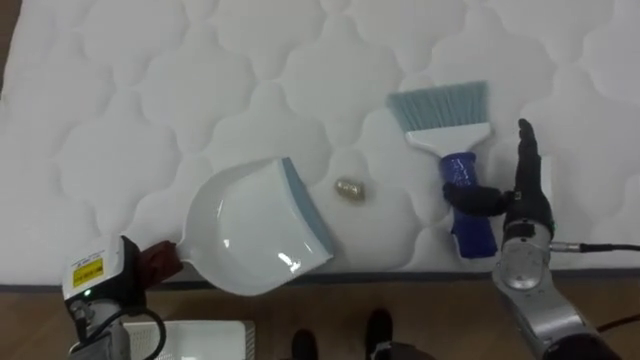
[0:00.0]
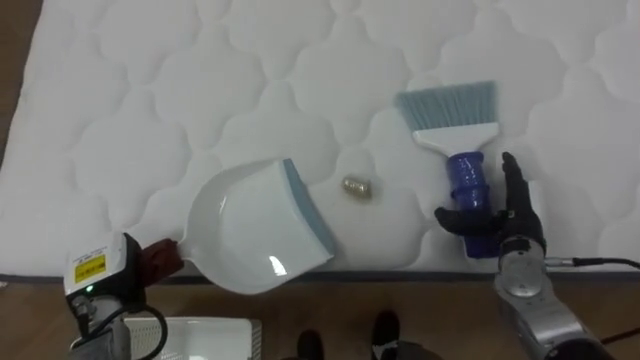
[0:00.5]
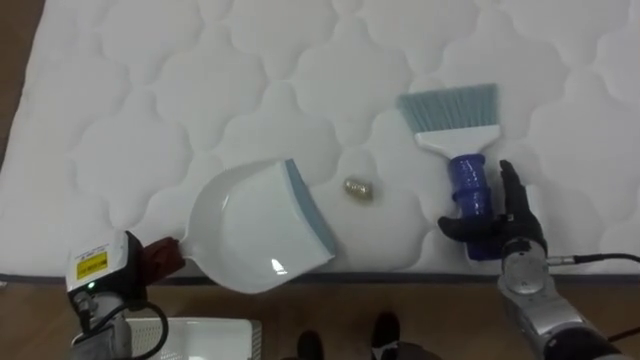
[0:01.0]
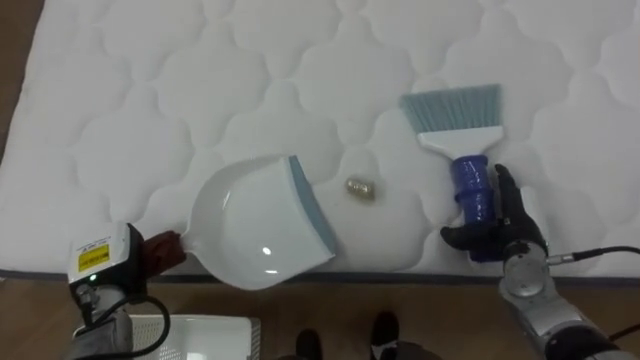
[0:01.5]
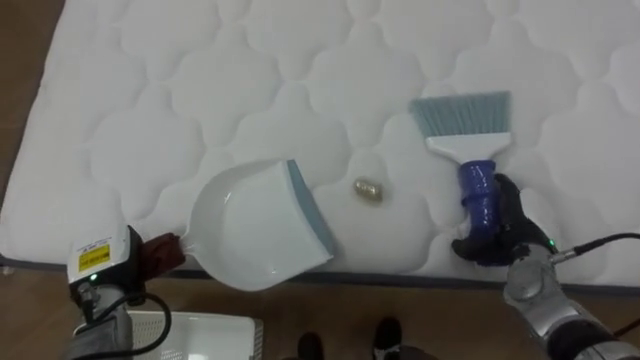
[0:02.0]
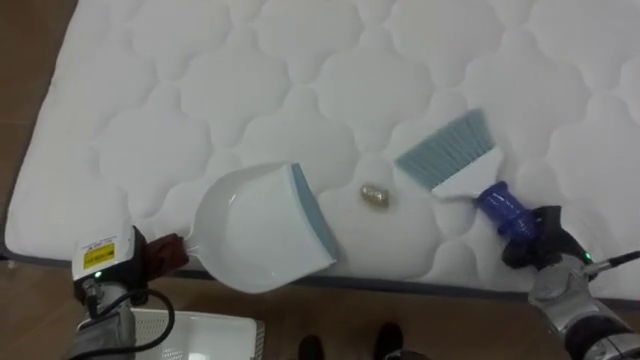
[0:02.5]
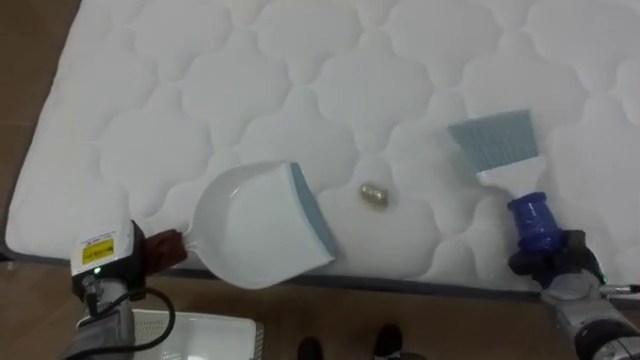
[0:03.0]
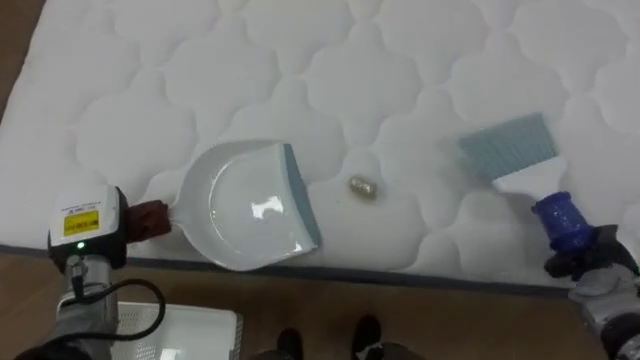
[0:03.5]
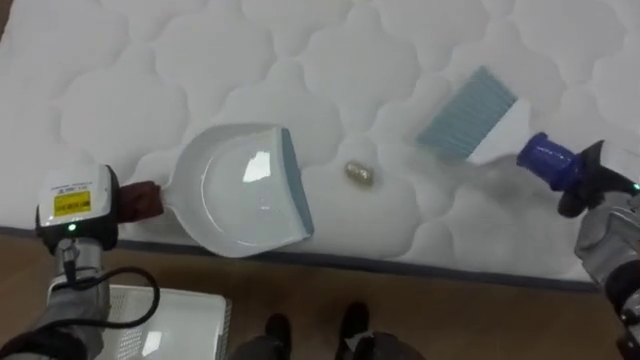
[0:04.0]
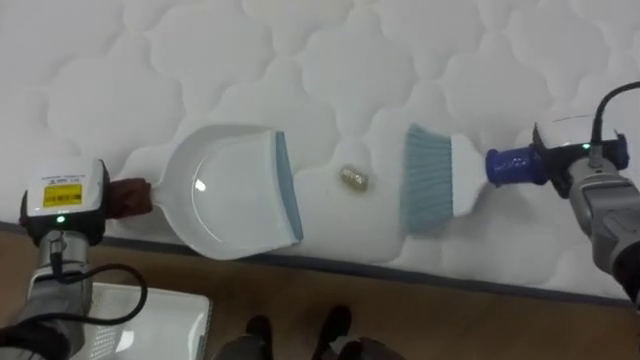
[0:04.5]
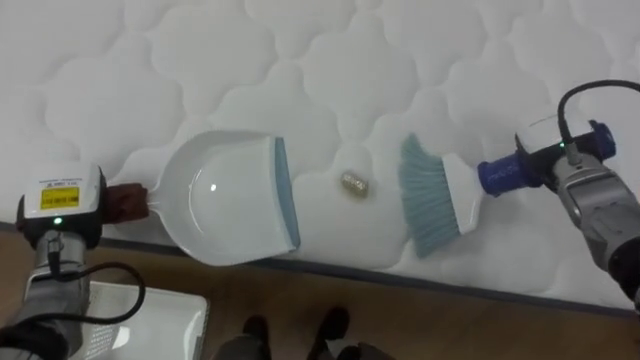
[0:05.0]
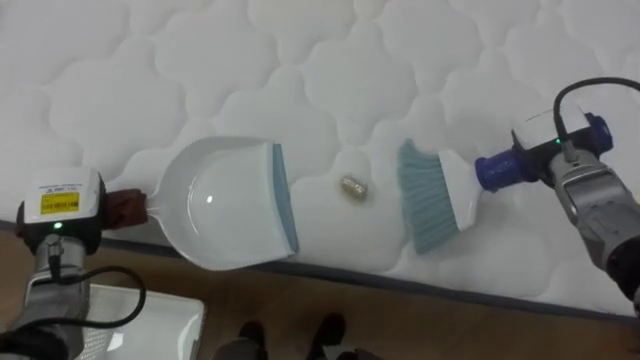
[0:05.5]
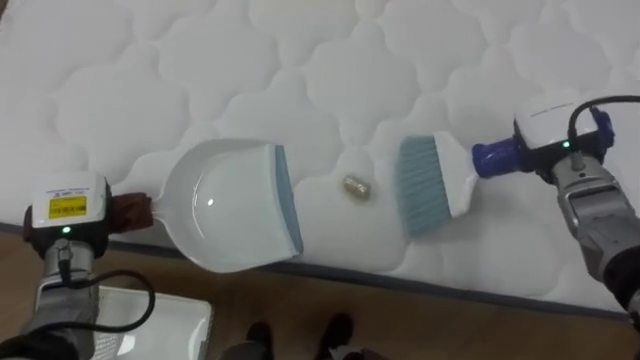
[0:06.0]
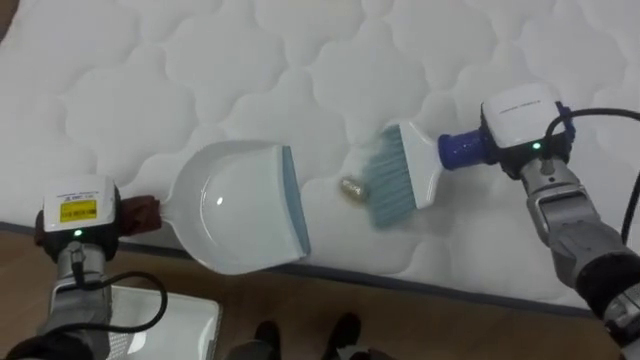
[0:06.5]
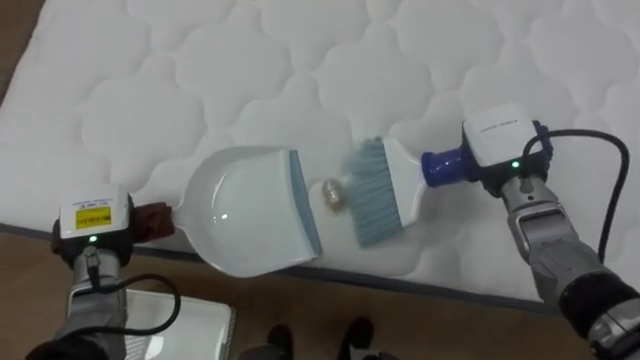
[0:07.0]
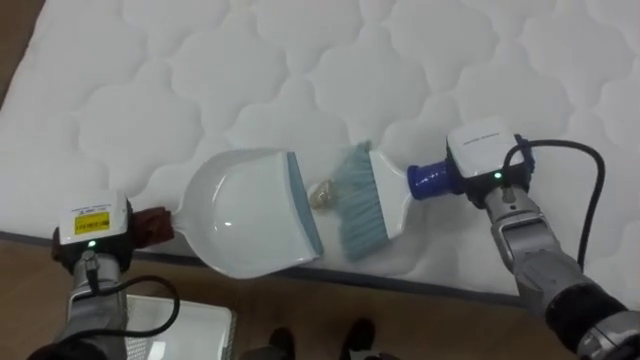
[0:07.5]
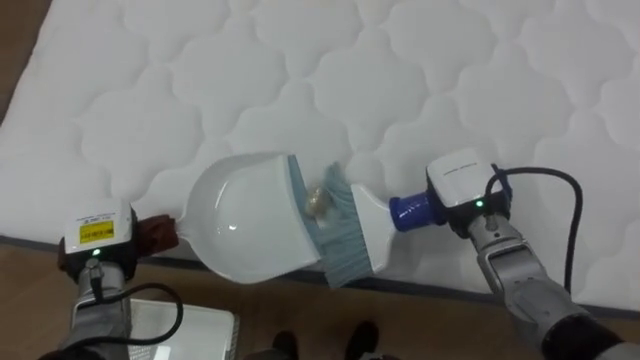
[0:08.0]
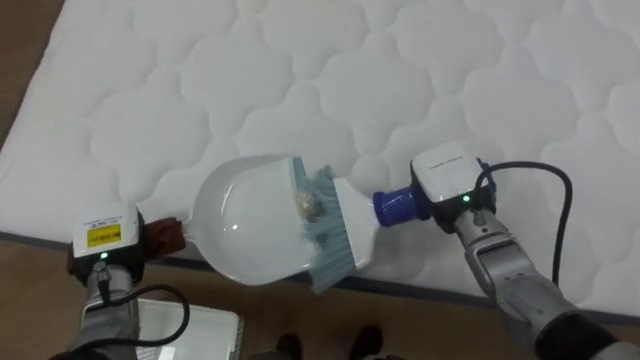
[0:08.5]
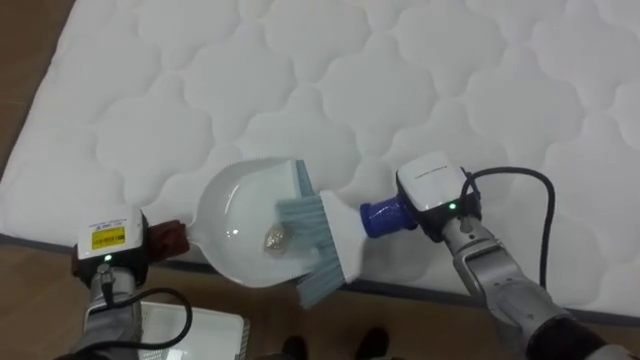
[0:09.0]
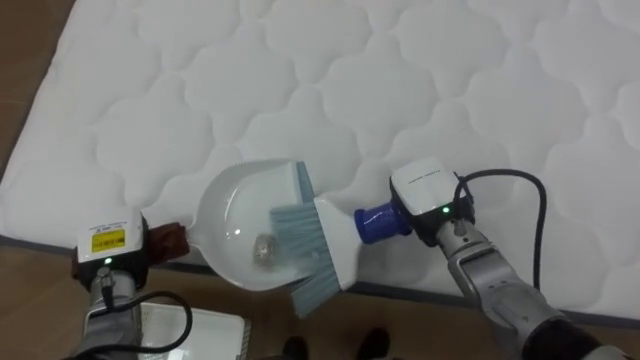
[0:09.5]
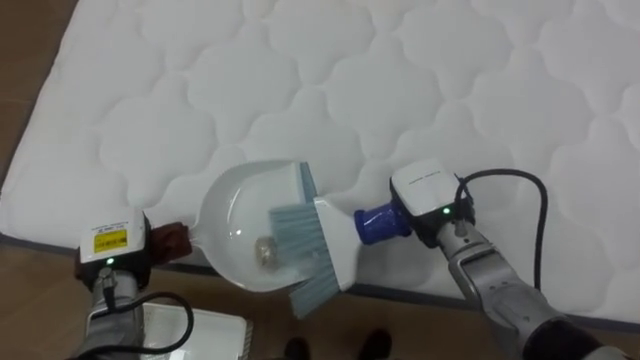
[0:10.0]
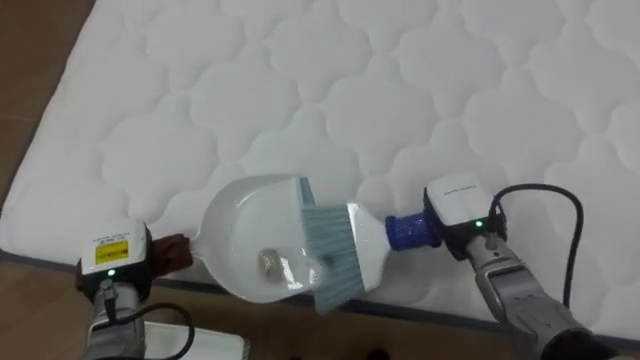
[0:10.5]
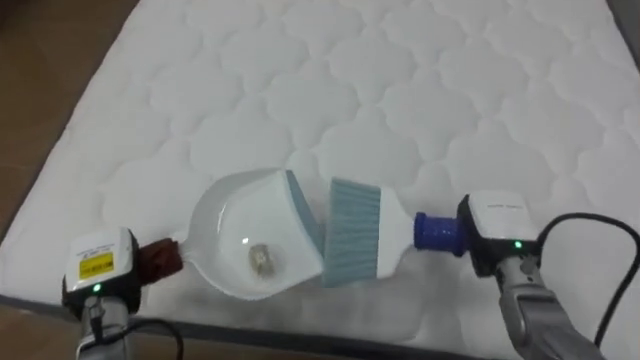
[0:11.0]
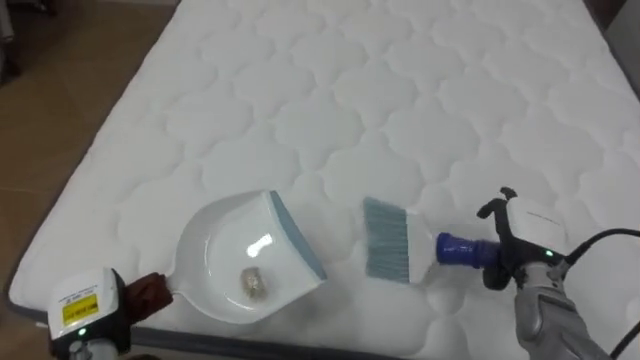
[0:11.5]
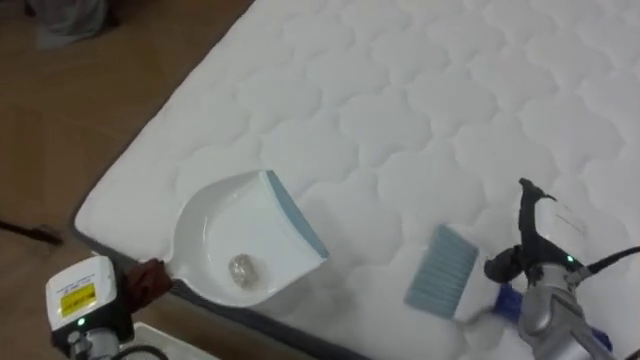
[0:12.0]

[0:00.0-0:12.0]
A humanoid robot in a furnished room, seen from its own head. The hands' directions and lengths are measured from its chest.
Task of the whole recording: Pick up the brush on your right and the dustpan on your left. Use the brush to sweep the crumpled paper on the bed into the dustpan, then turn left and empty it into the basket.
0:00.0 to 0:02.0: The right hand heads downward, covering roughly 5 cm.
0:02.0 to 0:04.0: The right hand travels to the right and upward by roughly 10 cm, and closes, while the left hand is displaced upward by approximately 5 cm.
0:04.0 to 0:06.0: The right hand travels to the left by roughly 10 cm.
0:06.0 to 0:08.0: The left hand moves some 5 cm; the right hand travels to the left and downward by about 10 cm.
0:10.0 to 0:12.0: The robot faces roughly 15 degrees further to its left. The right hand shifts about 15 cm to the right, and opens its fingers, while the left hand is displaced backward by some 5 cm.

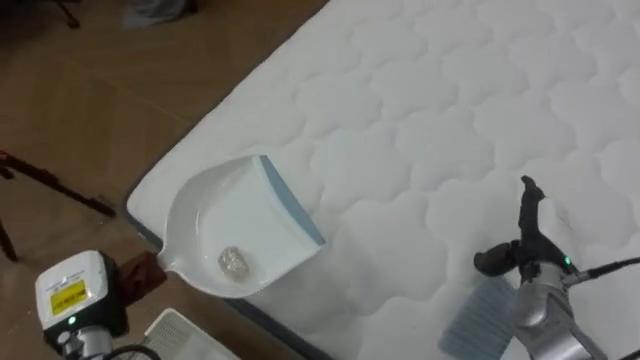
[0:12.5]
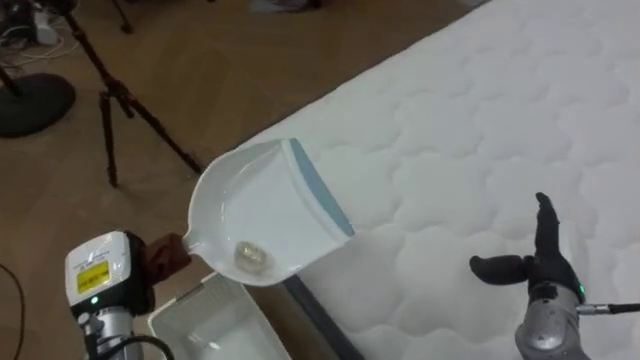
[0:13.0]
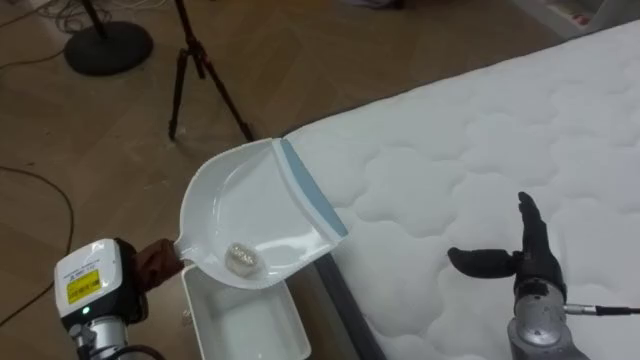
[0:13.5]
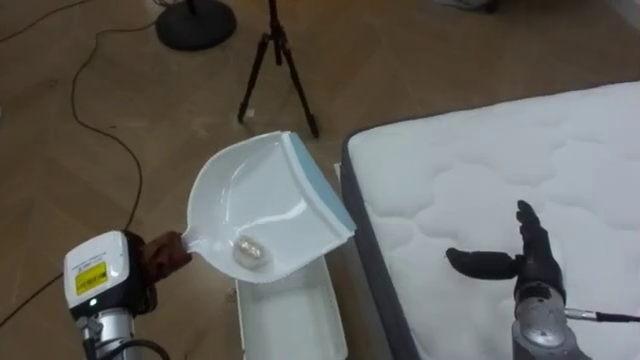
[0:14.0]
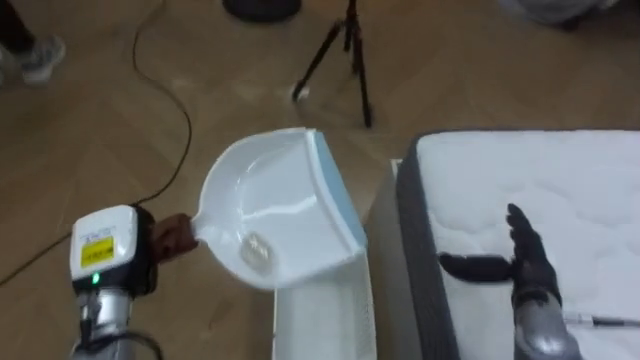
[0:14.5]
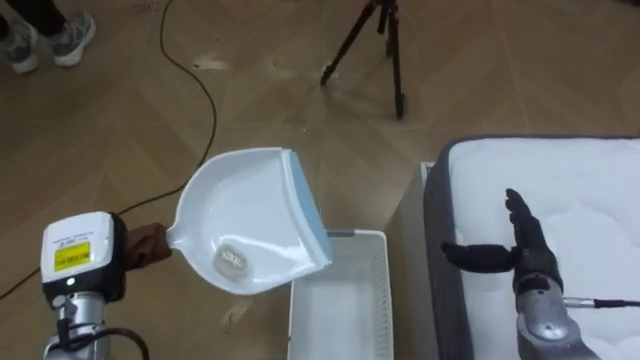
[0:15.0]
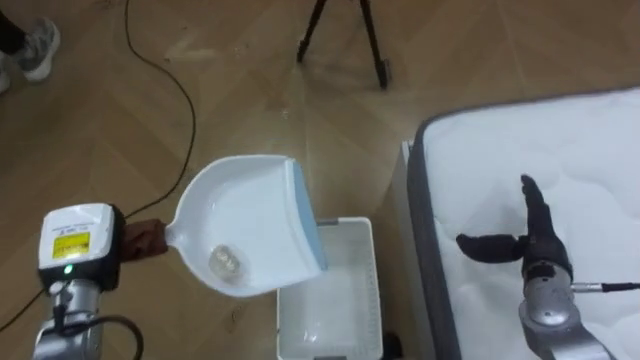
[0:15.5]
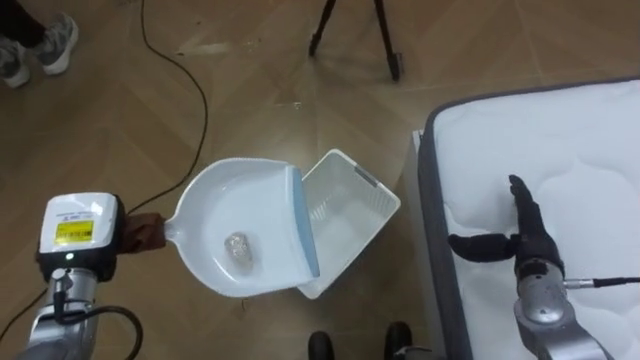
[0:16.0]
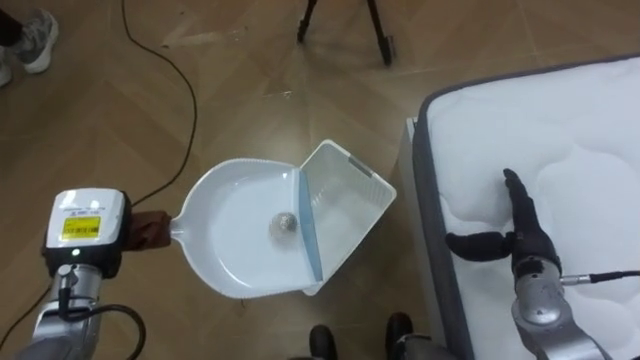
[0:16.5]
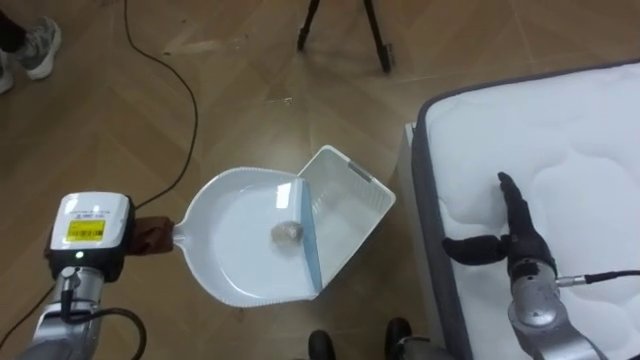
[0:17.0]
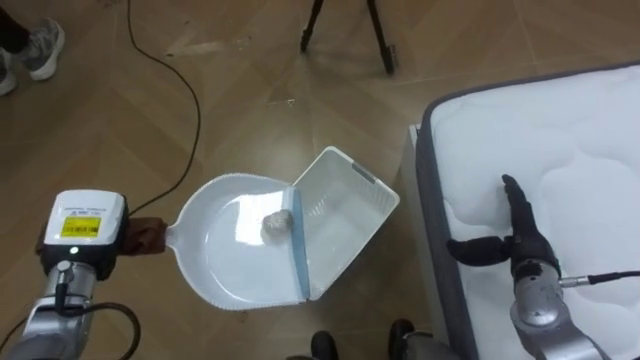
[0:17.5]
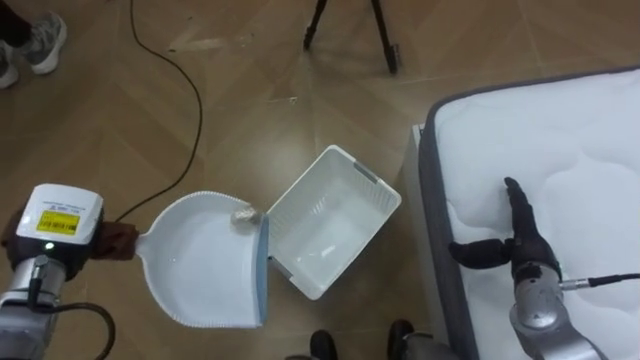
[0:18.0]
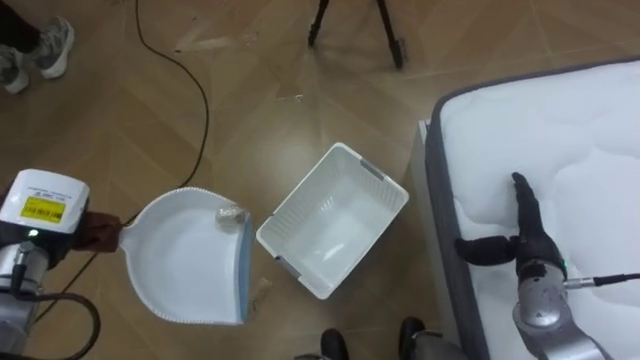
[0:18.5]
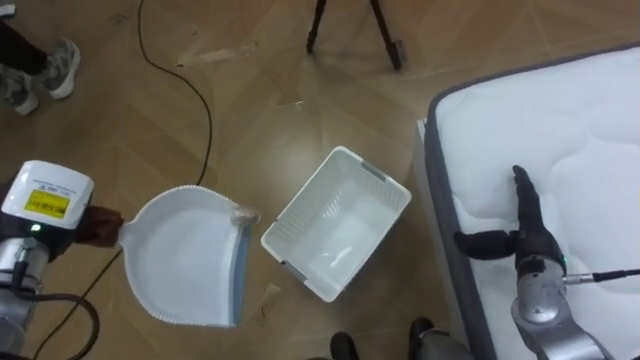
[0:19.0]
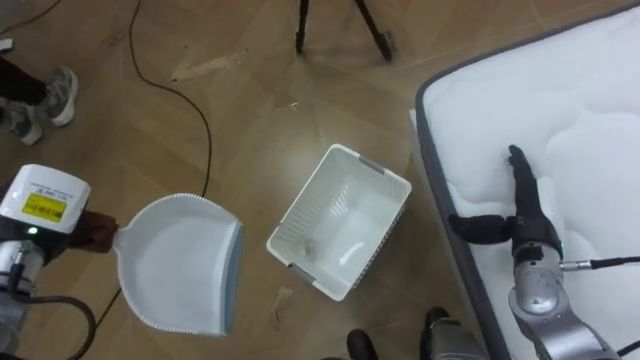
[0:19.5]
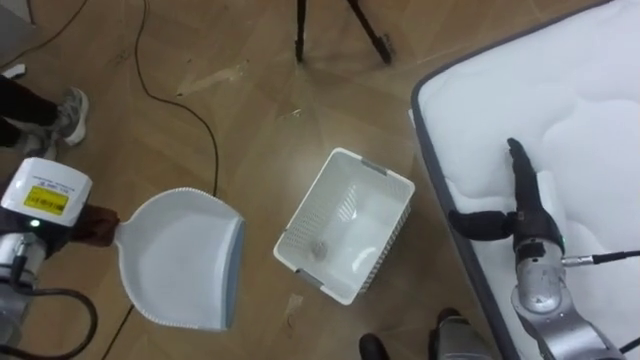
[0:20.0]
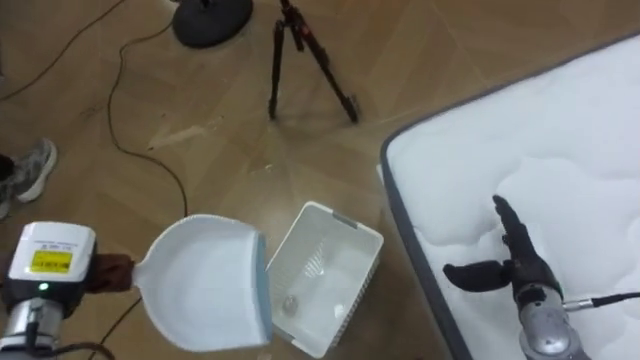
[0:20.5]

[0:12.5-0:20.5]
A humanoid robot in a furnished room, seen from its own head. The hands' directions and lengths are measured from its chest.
Task of the whole recording: Pick up the brush on your right and the dustpan on your left. Use the brush to sweep the crumpled paper on the bed into the dustpan, then turn left and empty it into the basket.
0:12.5 to 0:14.5: The robot's body swings roughly 60 degrees to its left. The right hand ends up some 5 cm from where it was. The left hand moves roughly 5 cm.
0:14.5 to 0:16.5: The right hand ends up some 5 cm from where it was, while the left hand changes place by roughly 5 cm.
0:16.5 to 0:18.5: The left hand changes place by roughly 5 cm.
0:18.5 to 0:20.5: The robot turns to its right by about 15 degrees. The left hand moves roughly 5 cm.
